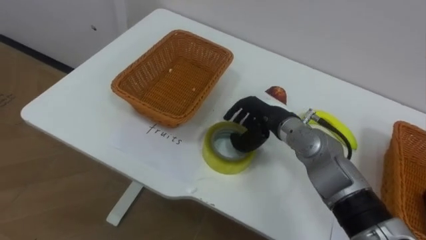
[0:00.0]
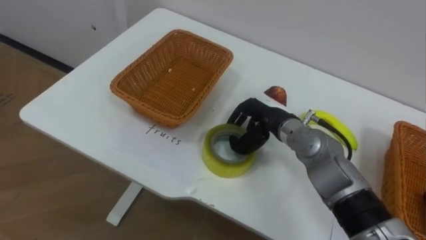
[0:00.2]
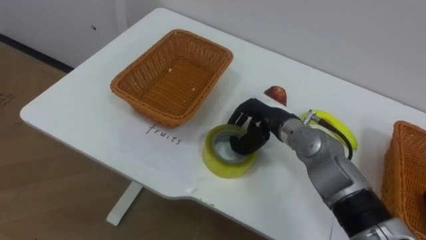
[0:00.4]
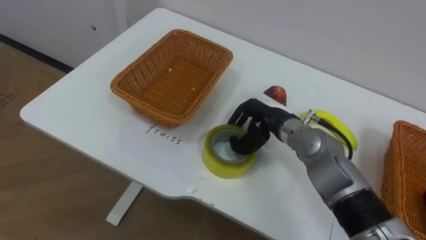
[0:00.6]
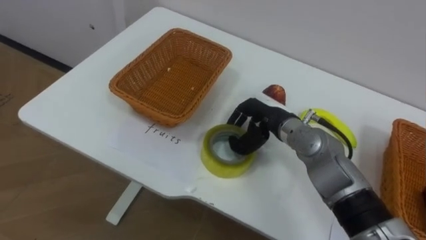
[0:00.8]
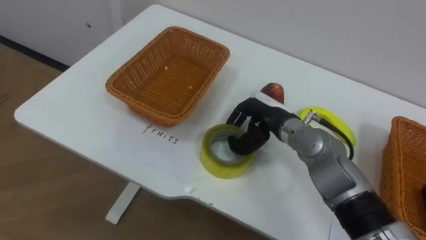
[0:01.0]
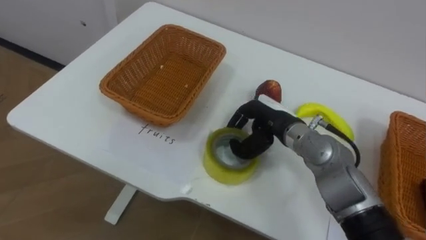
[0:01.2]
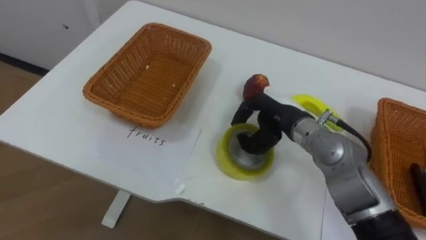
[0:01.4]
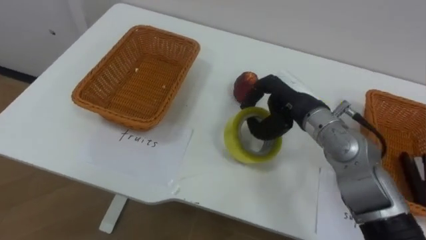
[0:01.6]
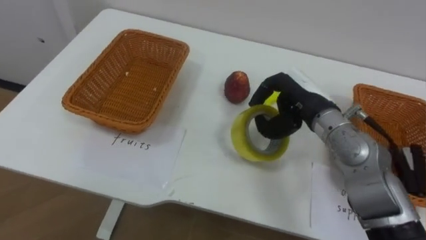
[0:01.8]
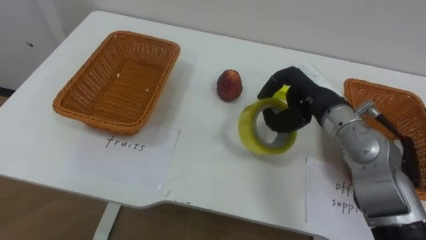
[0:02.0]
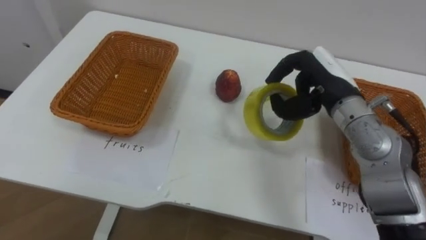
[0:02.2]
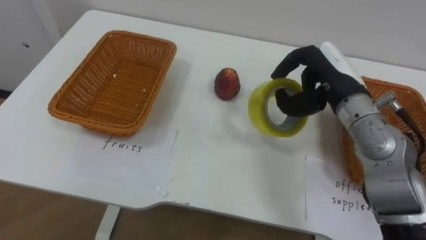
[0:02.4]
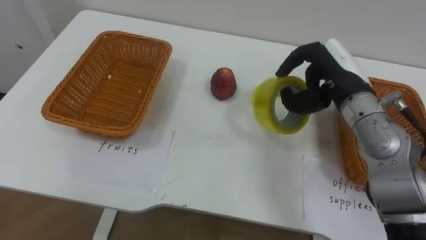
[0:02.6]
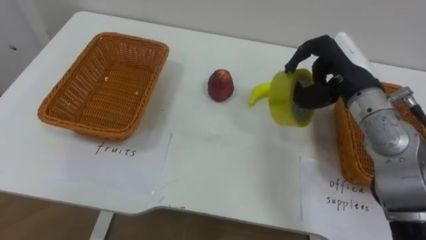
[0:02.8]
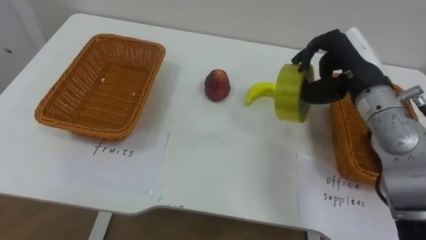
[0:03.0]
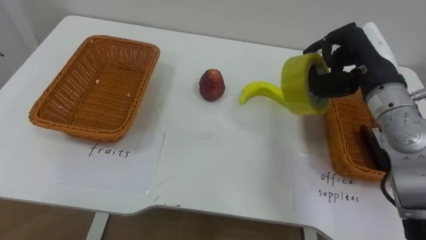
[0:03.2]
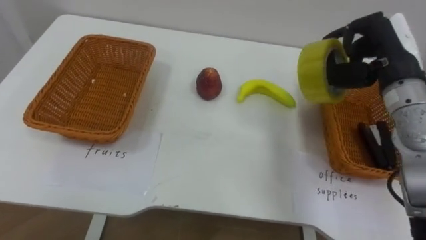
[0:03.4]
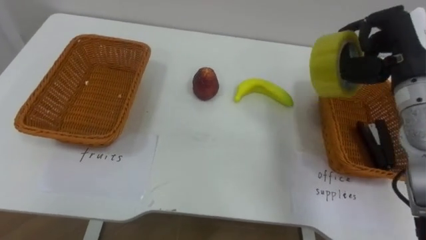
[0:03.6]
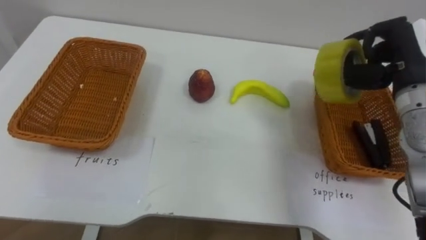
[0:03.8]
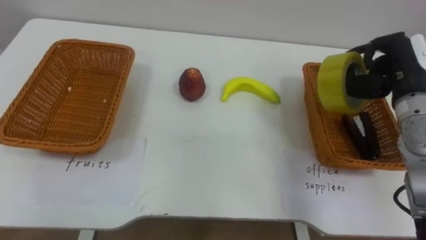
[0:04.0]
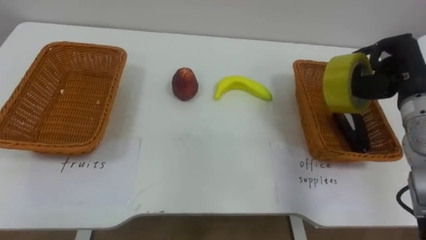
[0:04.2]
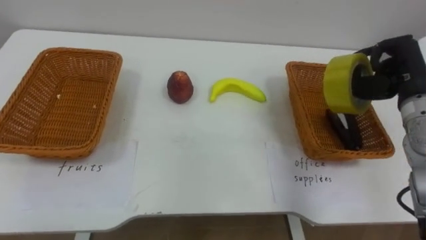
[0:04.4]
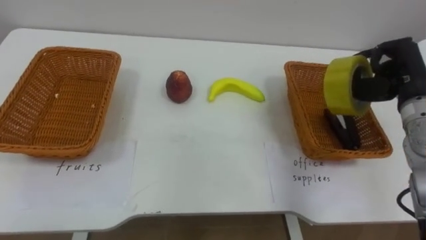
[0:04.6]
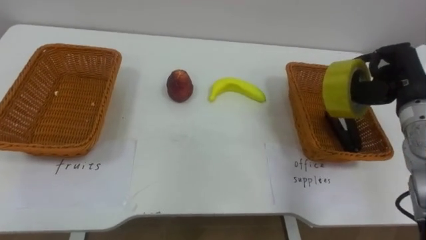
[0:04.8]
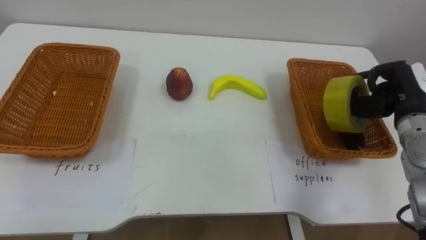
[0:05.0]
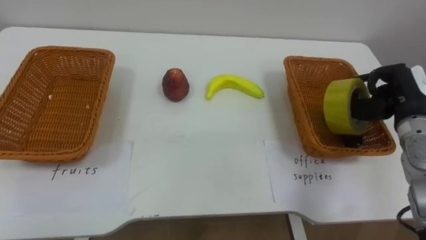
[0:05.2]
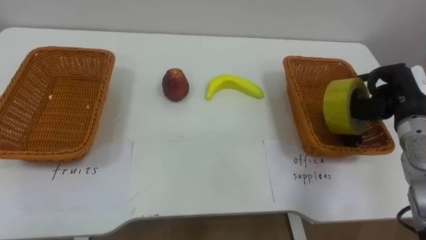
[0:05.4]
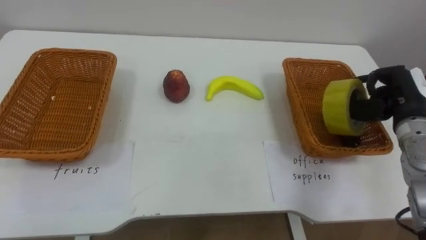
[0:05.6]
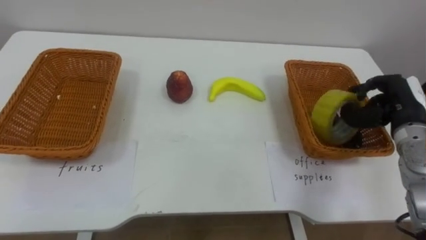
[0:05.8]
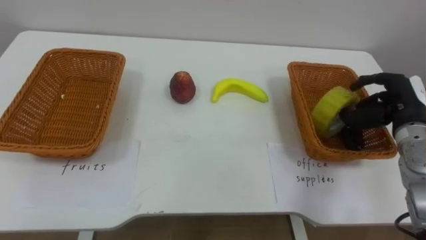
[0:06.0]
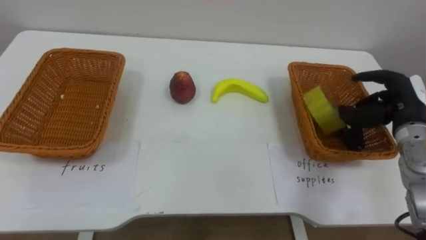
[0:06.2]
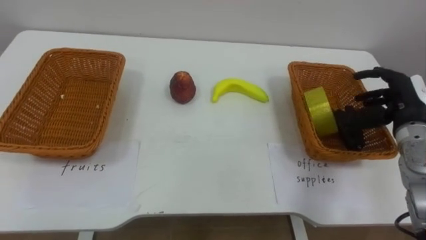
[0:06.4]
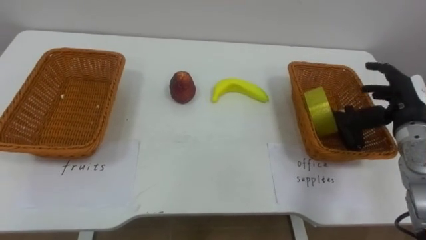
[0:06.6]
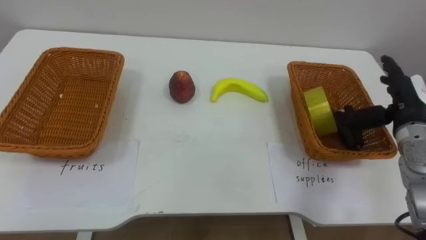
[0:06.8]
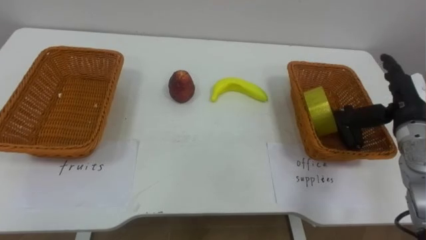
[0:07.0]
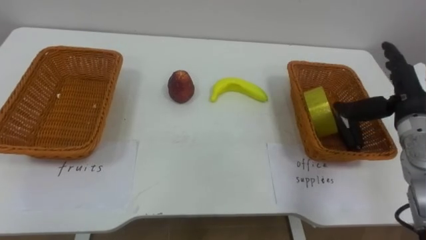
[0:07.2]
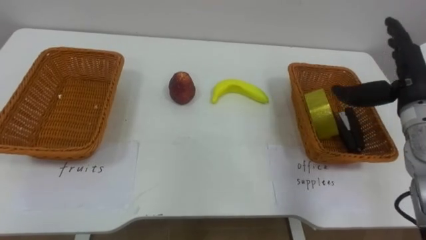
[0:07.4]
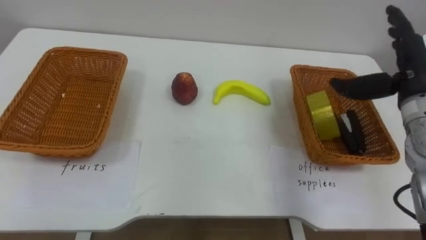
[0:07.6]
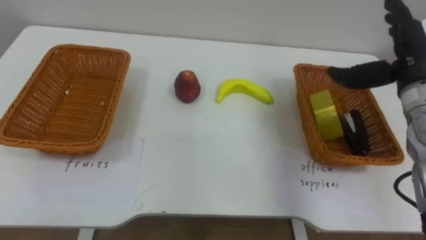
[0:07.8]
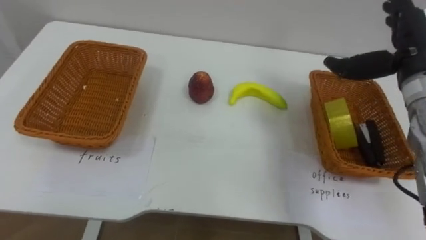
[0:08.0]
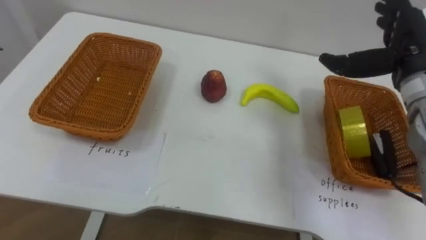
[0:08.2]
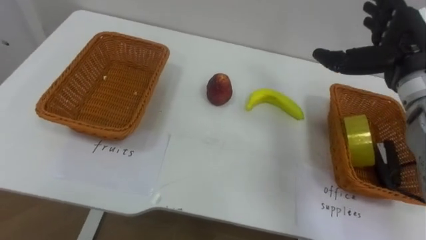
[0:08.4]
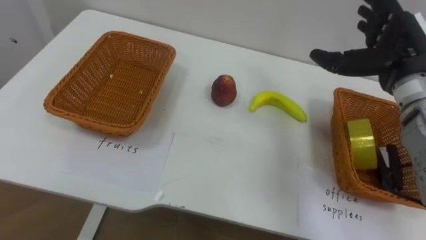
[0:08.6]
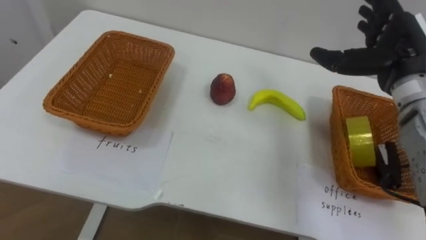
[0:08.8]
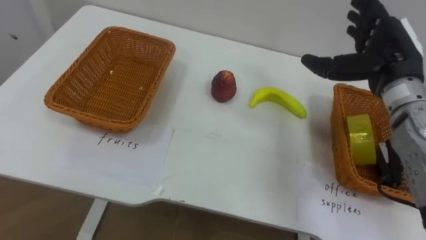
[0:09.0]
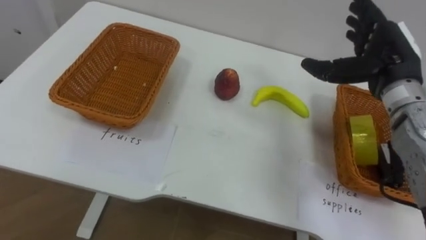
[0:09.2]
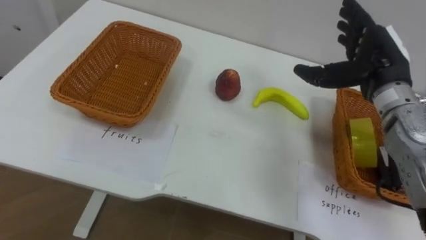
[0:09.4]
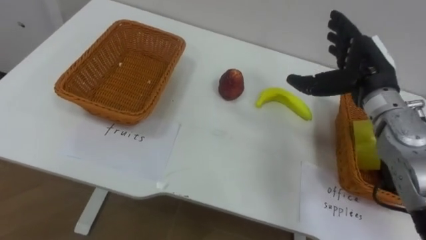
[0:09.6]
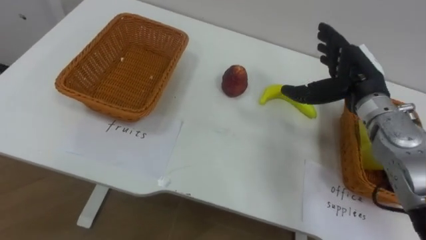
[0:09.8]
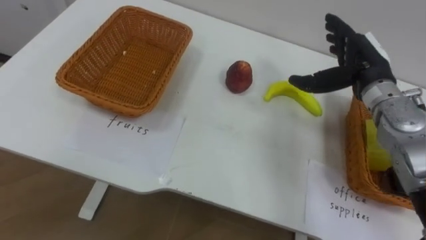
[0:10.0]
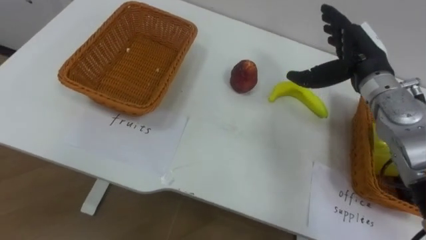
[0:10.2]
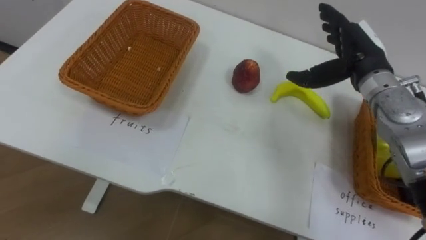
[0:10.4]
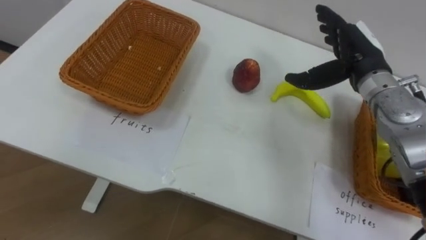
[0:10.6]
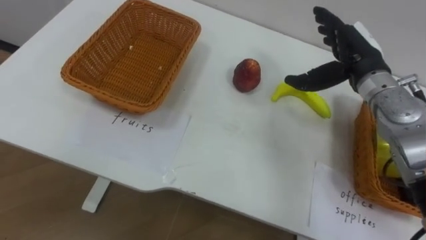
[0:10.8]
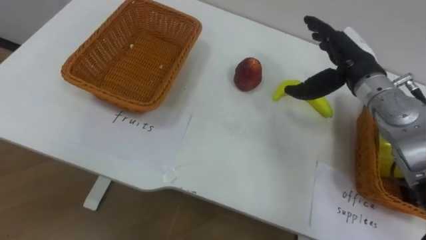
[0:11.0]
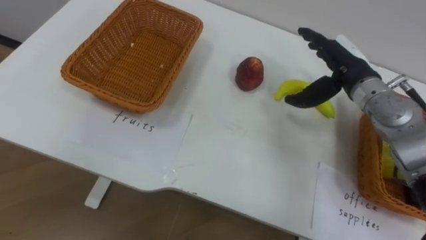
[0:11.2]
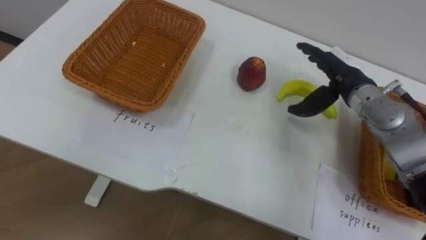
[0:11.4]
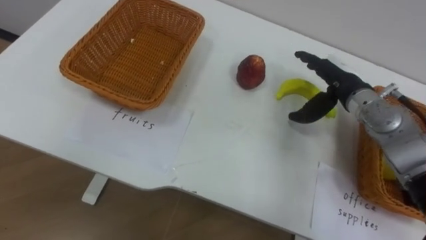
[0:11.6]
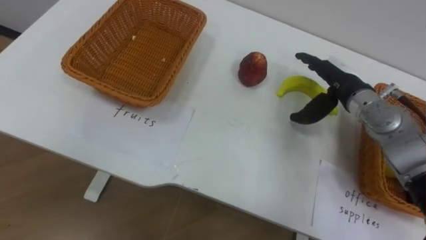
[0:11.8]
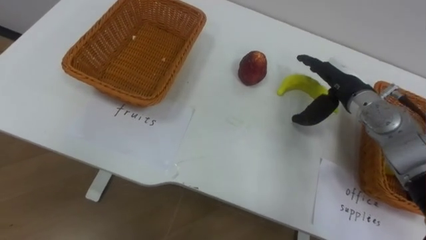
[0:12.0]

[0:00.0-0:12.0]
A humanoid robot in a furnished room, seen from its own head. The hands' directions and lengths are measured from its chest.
Task of the whole recording: Separate the items on the table and place them into the two baskets.
0:00.0 to 0:01.6: The right hand heads upward, covering approximately 5 cm, and closes up.
0:01.6 to 0:03.0: The right hand travels to the right and upward by roughly 10 cm.
0:03.0 to 0:04.4: The right hand heads to the right, covering some 10 cm.
0:04.4 to 0:06.0: The right hand heads downward, covering about 5 cm.
0:06.0 to 0:07.6: The right hand moves upward, about 5 cm, and opens up.
0:10.4 to 0:12.0: The right hand heads downward, covering approximately 5 cm.

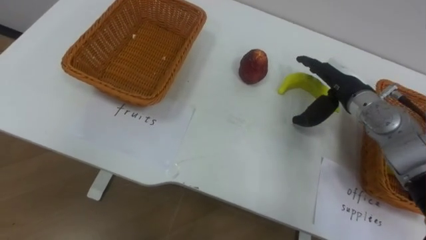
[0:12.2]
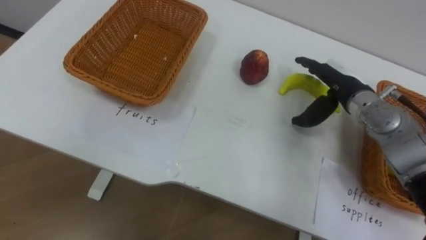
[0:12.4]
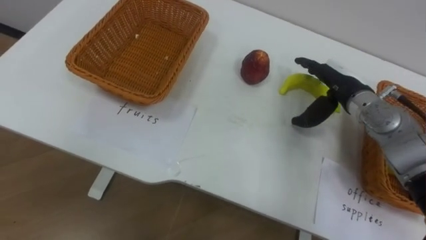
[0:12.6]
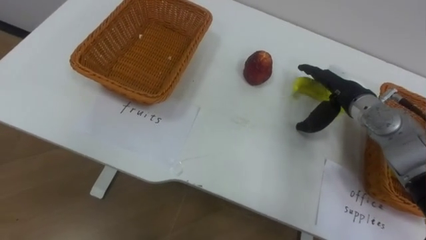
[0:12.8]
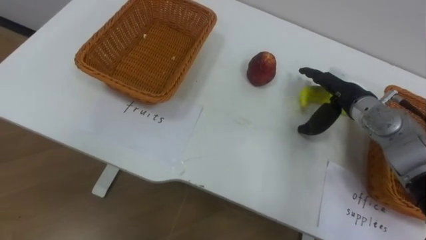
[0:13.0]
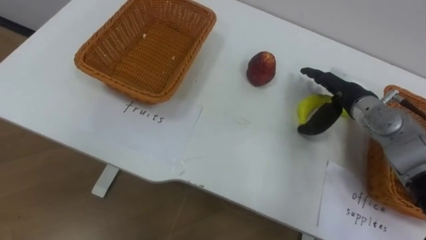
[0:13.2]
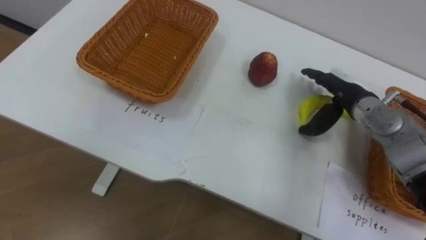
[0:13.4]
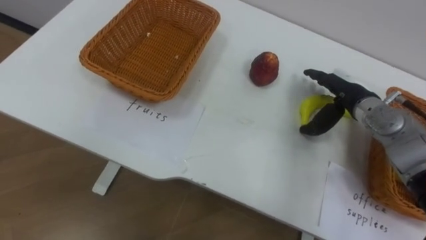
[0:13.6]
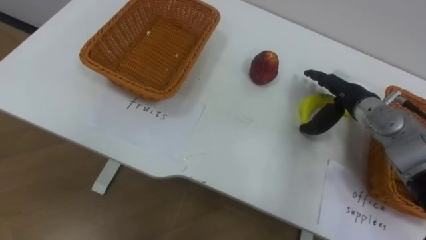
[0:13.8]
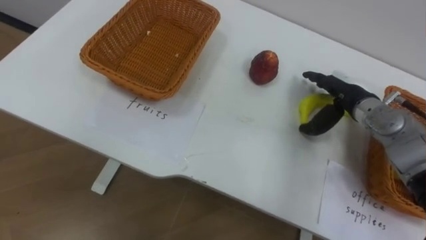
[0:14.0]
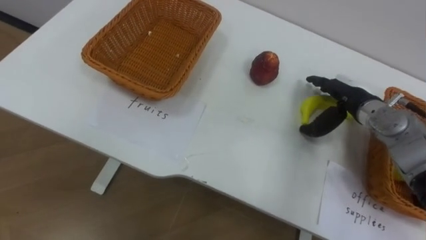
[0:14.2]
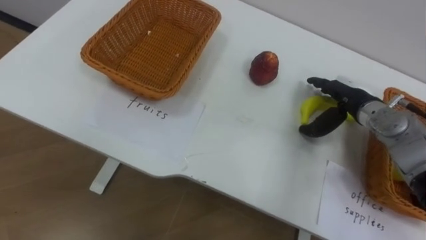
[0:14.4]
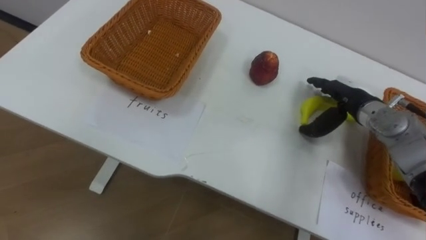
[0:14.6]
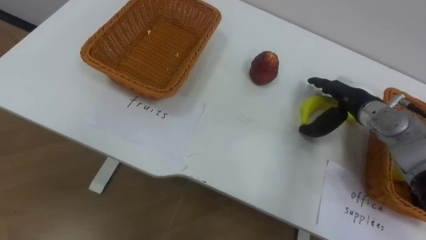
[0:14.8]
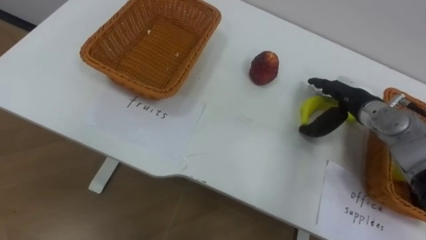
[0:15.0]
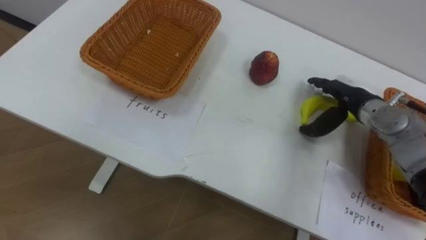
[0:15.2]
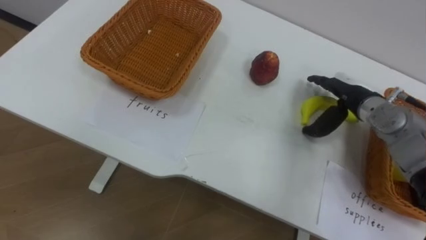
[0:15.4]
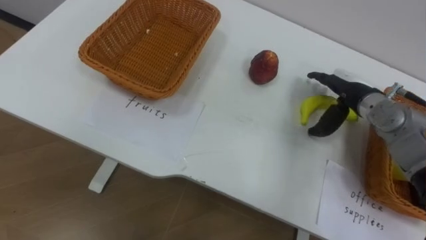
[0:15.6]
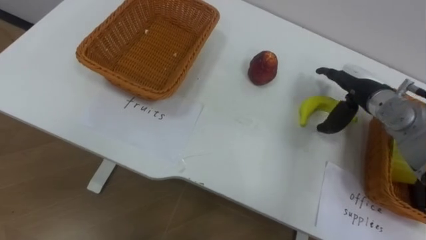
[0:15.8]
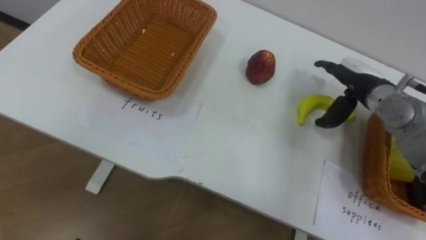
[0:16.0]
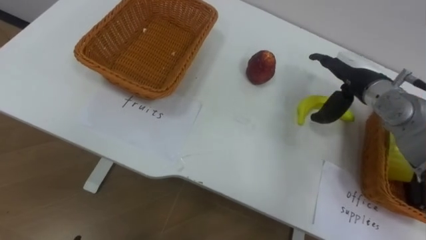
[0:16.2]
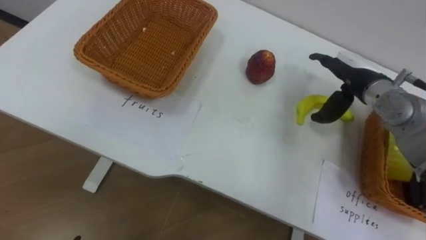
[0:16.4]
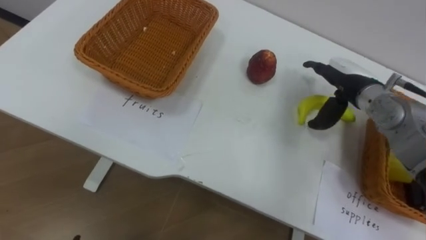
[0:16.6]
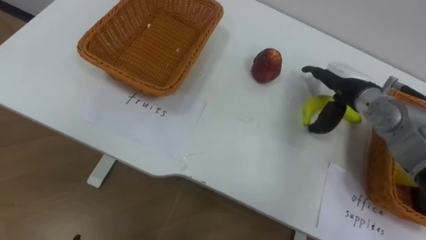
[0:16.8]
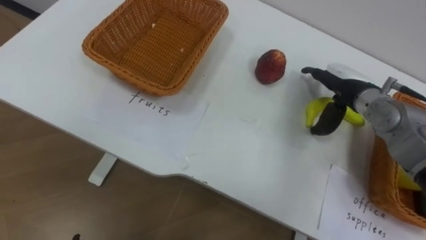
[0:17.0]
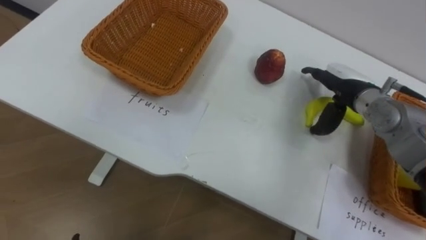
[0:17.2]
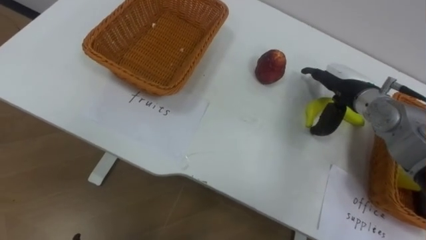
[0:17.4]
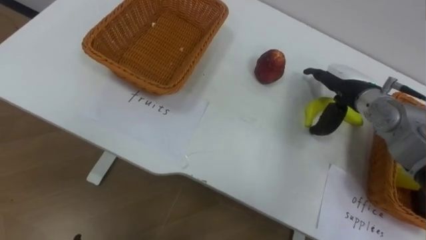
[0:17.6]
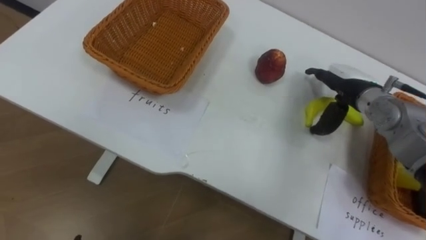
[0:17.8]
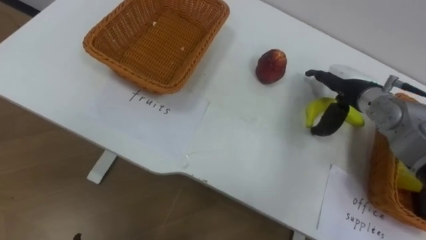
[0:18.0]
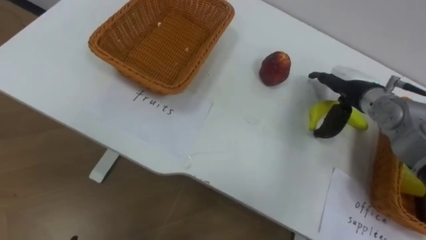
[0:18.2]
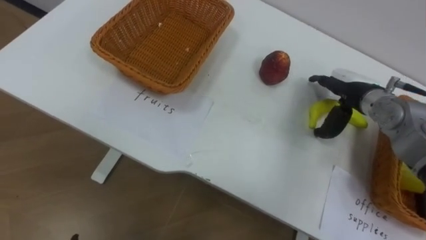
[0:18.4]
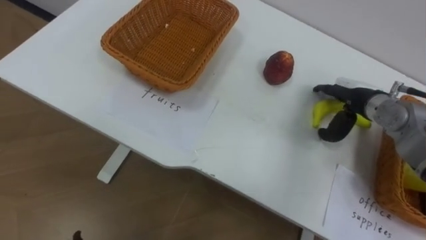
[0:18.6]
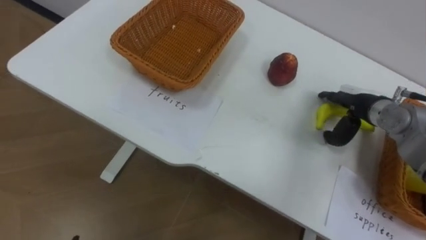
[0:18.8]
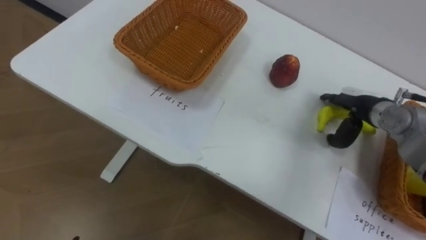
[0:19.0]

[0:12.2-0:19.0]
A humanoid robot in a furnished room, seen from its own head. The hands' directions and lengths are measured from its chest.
Task of the whole recording: Separate the items on the table and place them into the two baskets.
0:15.0 to 0:16.2: The right hand changes place by about 5 cm.
0:17.6 to 0:19.0: The right hand ends up about 5 cm from where it was.
